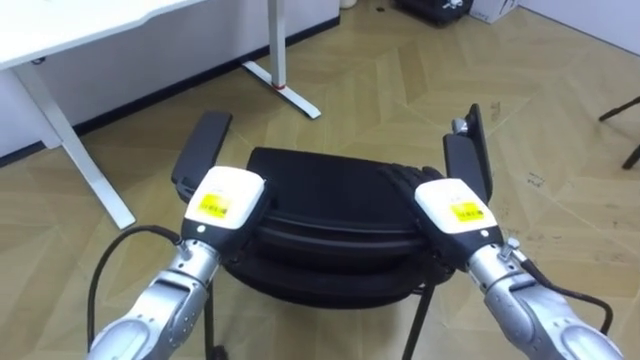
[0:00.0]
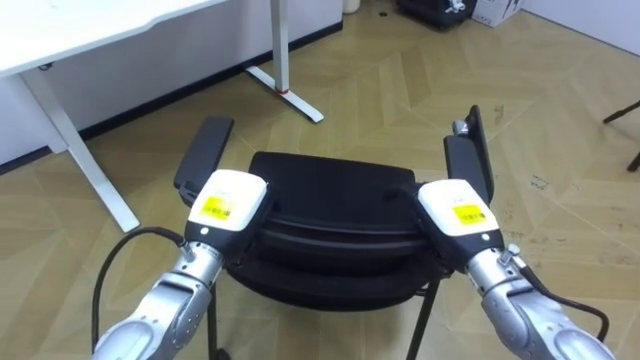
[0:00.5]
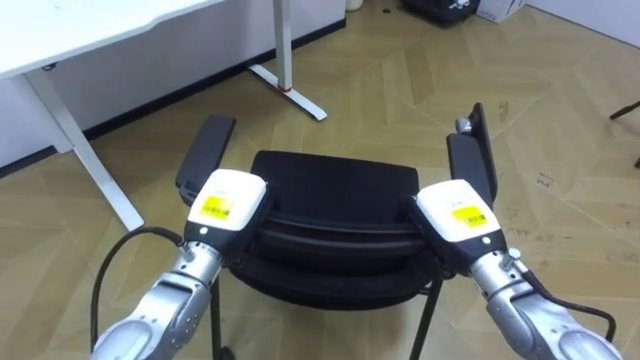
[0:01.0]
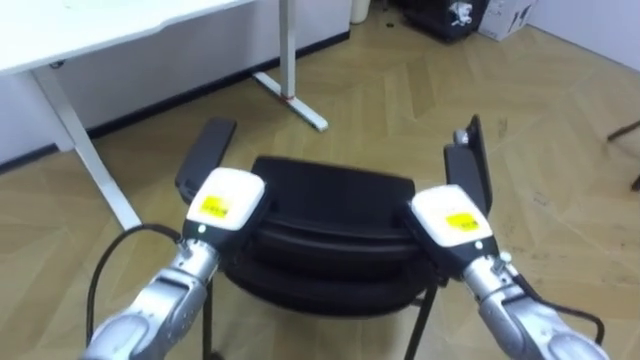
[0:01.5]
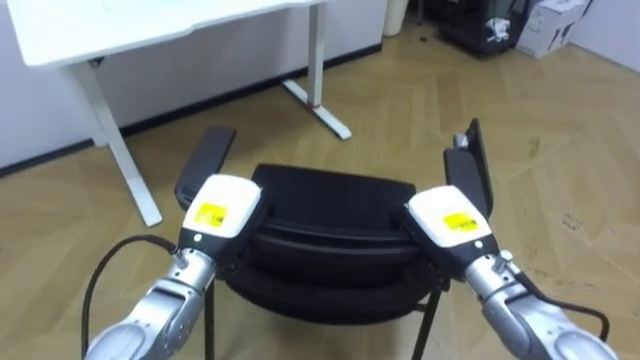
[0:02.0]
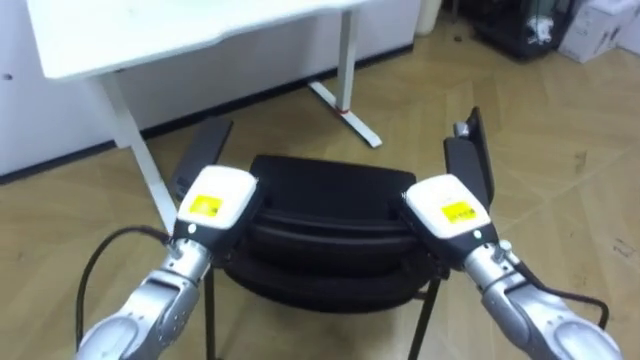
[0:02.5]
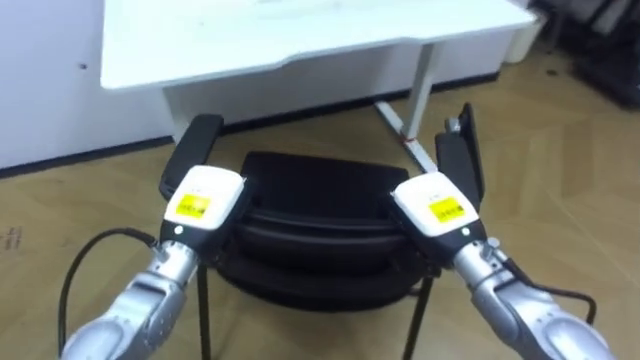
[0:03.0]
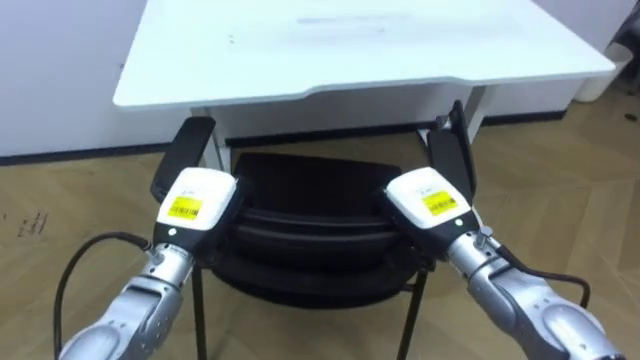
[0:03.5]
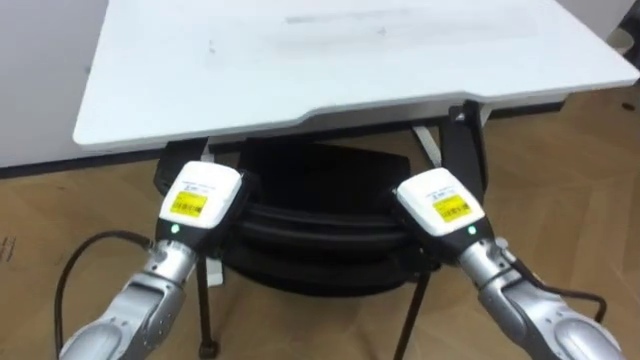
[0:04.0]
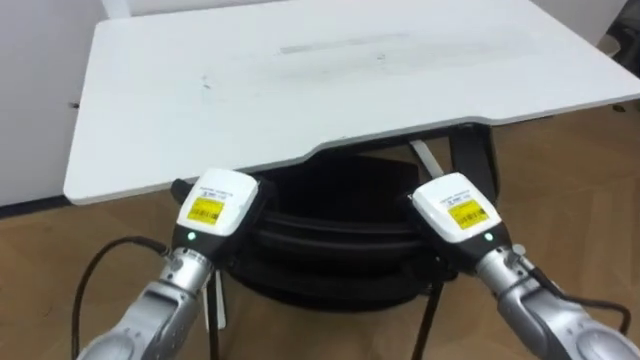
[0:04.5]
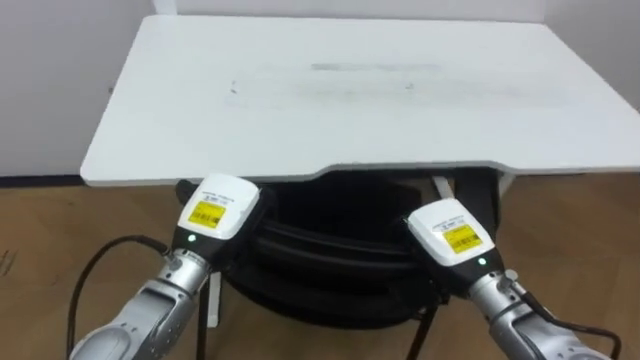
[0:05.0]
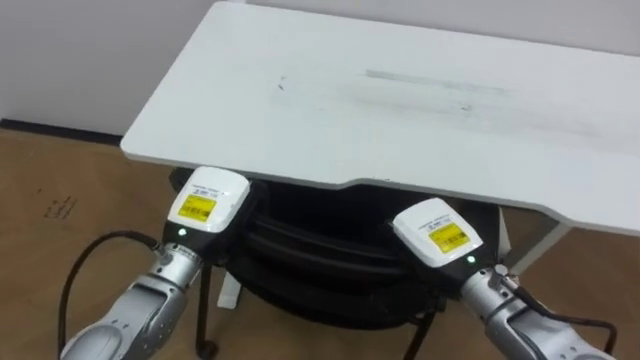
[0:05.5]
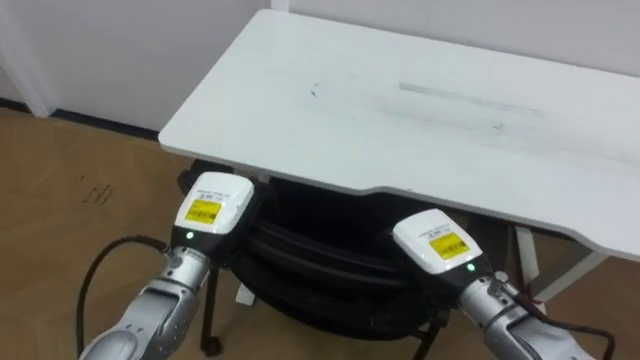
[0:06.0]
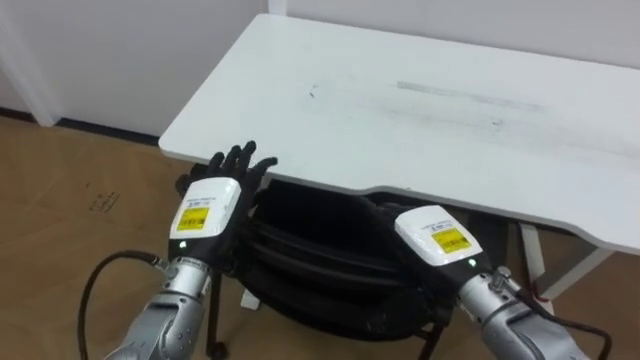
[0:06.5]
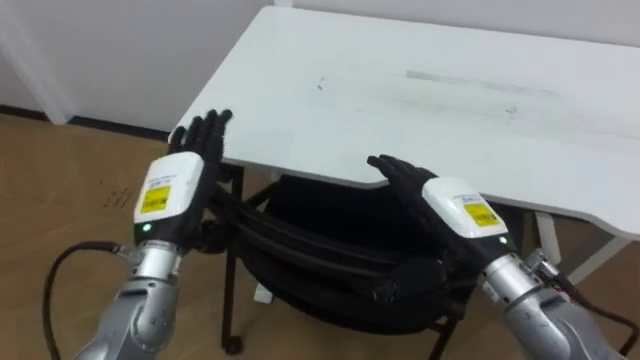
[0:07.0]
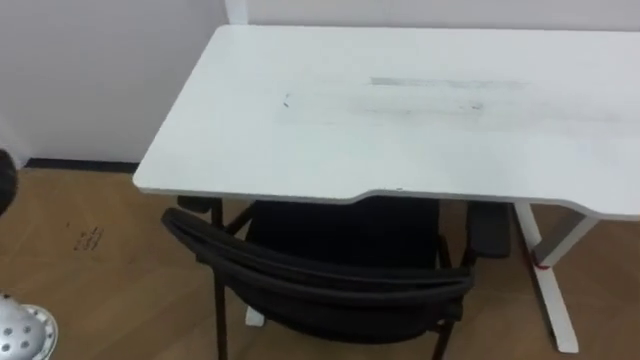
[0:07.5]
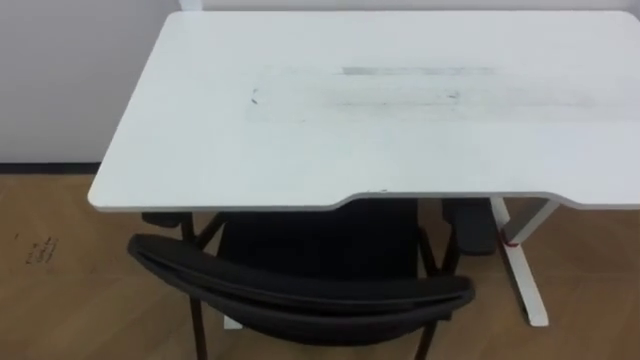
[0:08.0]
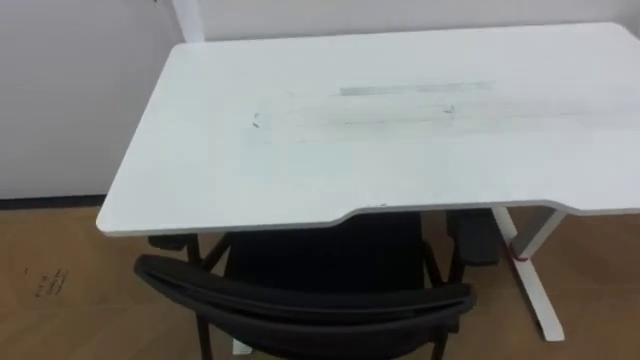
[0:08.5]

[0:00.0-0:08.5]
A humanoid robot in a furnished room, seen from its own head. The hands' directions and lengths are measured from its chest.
Task of the whole recording: Push the chair under the table.
0:00.0 to 0:02.0: The right hand closes up.
0:02.0 to 0:04.0: The robot turns to its left by some 20 degrees.
0:04.0 to 0:06.5: The robot faces roughly 30 degrees further to its left. The right hand opens, while the left hand opens its fingers.

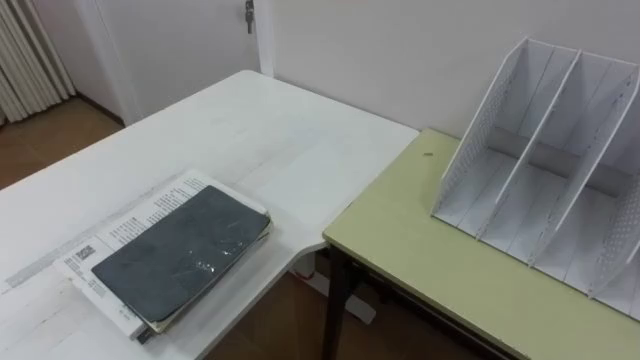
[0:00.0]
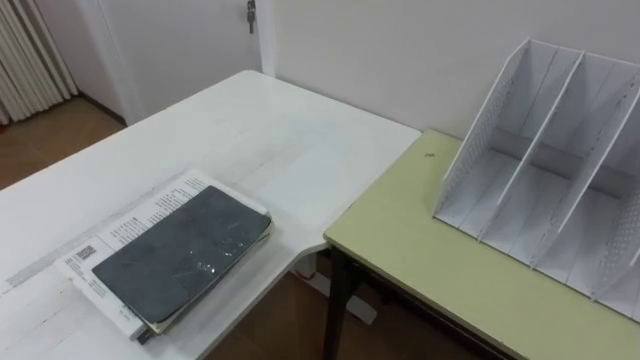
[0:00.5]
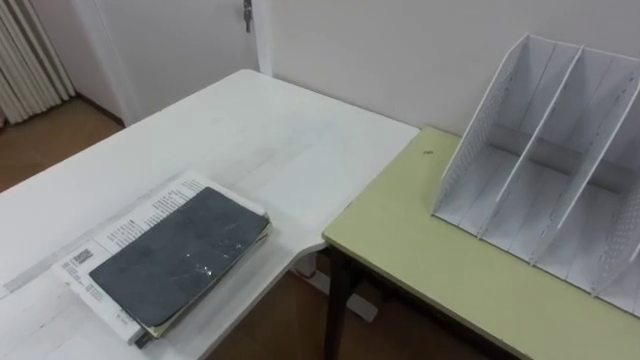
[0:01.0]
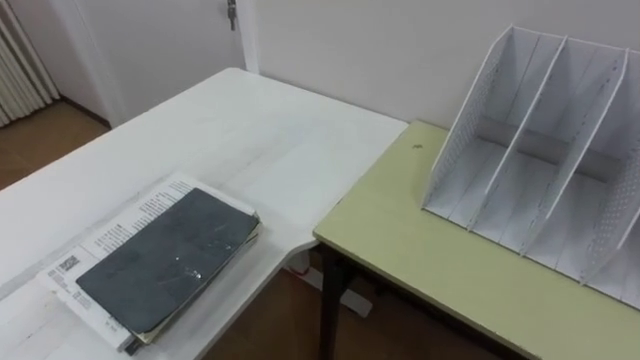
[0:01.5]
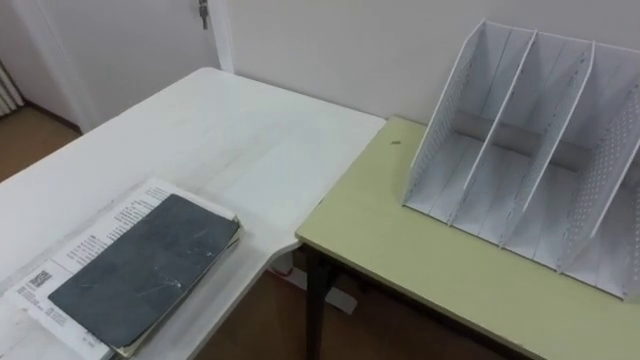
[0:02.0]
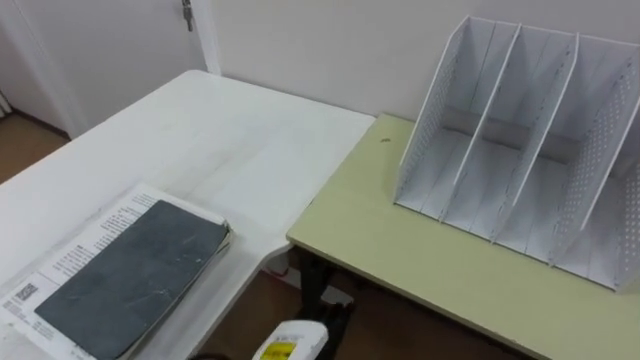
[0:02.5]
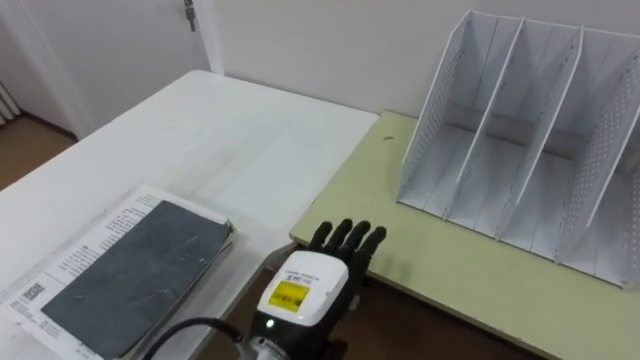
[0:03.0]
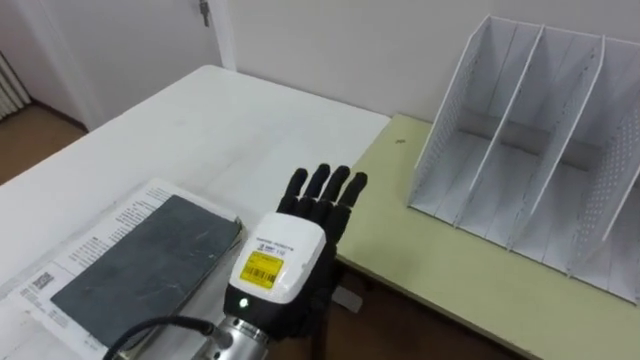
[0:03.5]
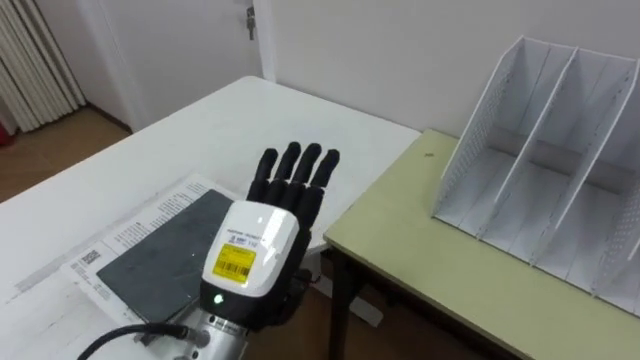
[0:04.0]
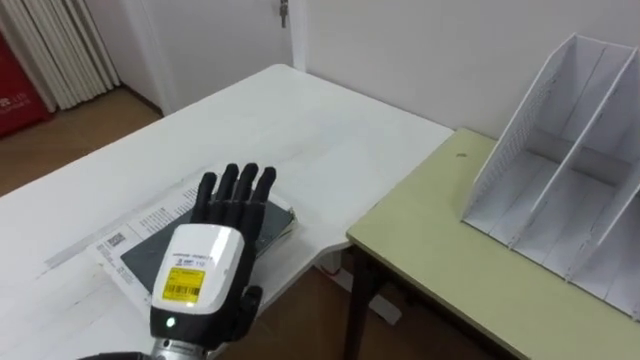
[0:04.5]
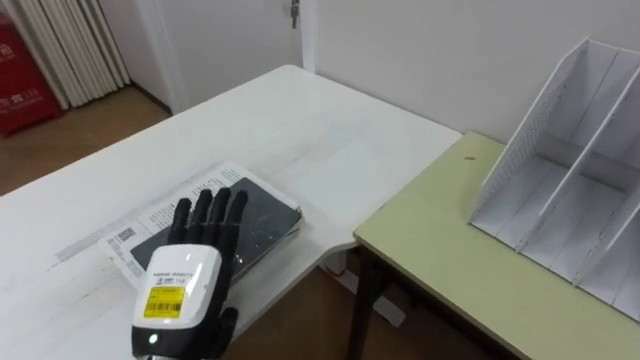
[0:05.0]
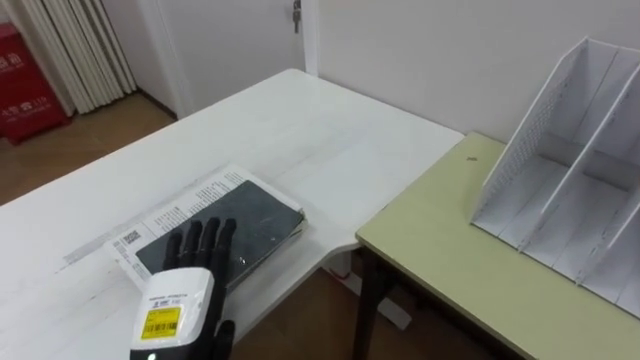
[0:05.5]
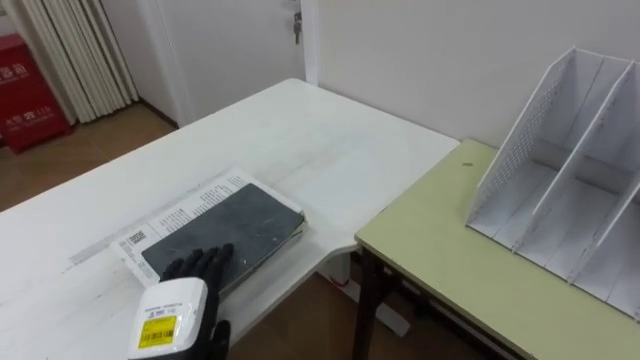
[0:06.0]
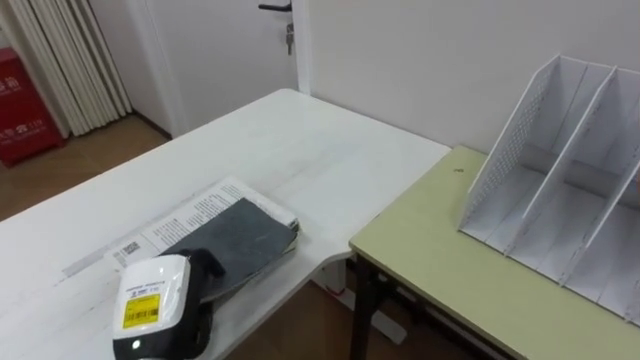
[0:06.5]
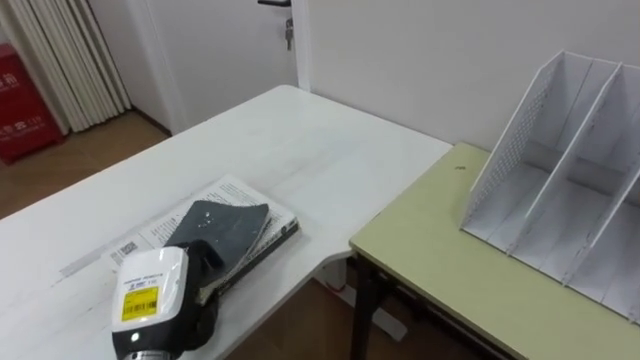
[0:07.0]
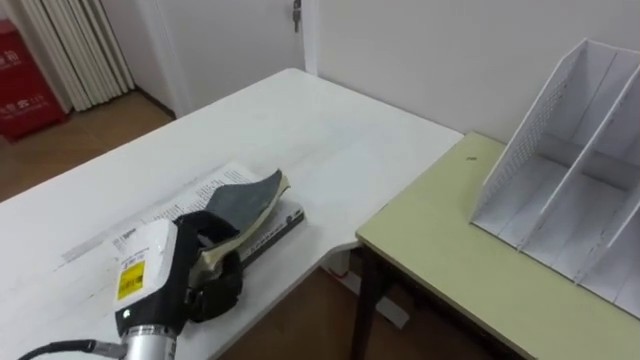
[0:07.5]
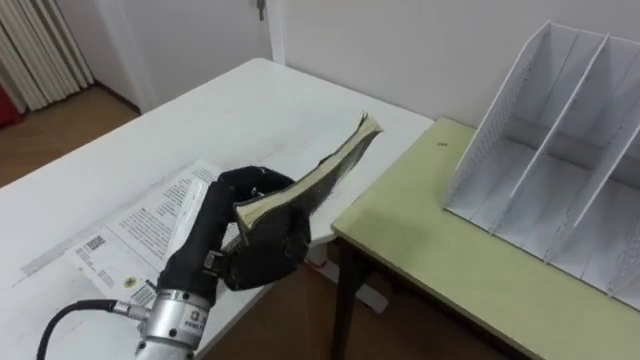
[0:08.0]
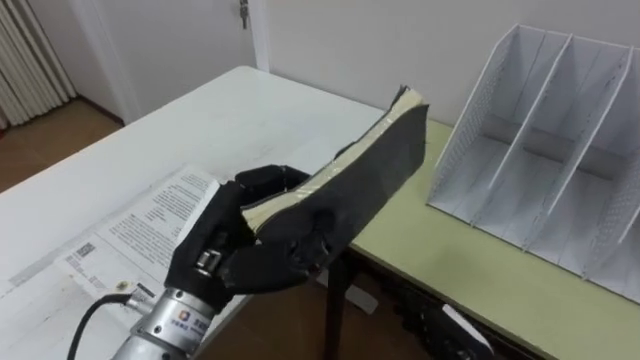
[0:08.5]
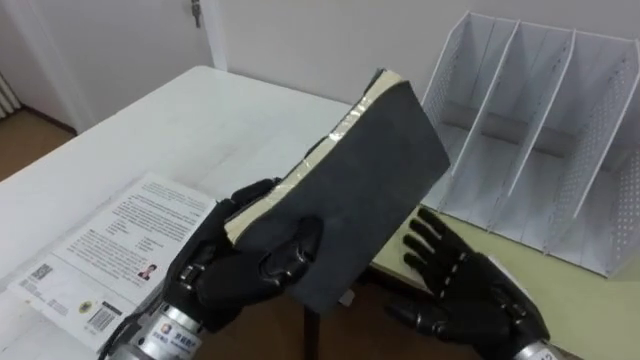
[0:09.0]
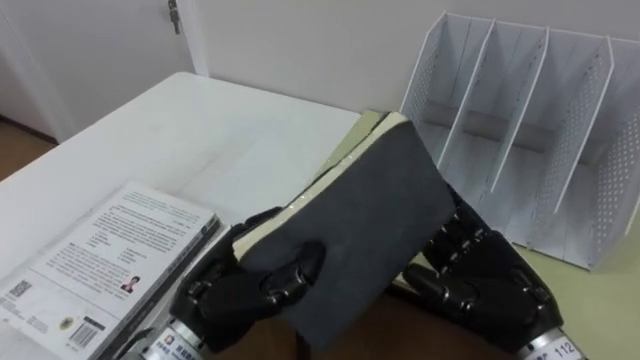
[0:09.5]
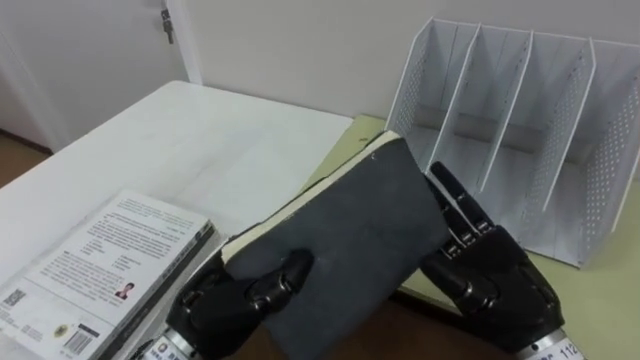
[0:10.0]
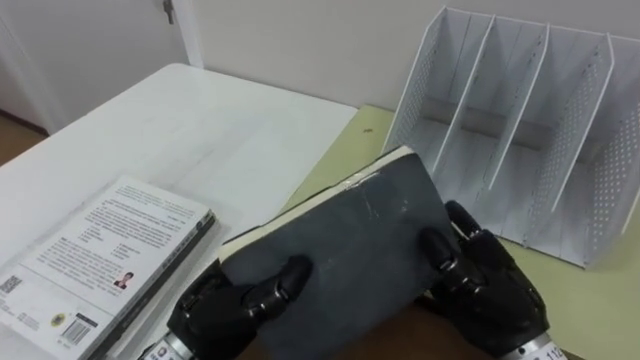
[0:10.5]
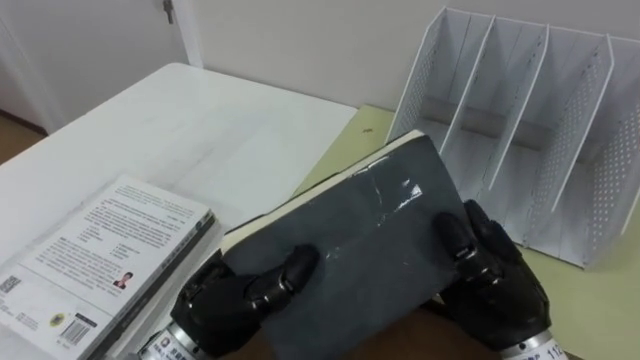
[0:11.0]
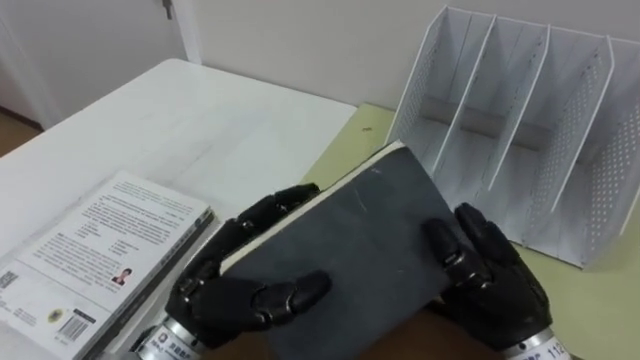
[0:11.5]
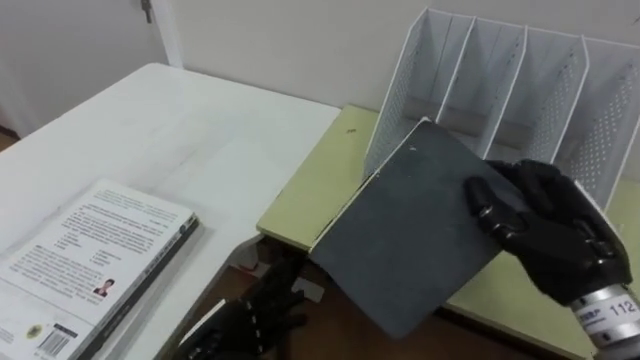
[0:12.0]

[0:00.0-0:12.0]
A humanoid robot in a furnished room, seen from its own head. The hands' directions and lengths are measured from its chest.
Task of the whole recording: Put the books on the table onto the bookshelf.
0:04.0 to 0:06.0: The left hand goes approximately 15 cm downward and to the left.
0:06.0 to 0:08.0: The left hand shifts approximately 10 cm upward, and closes.
0:08.0 to 0:10.0: The left hand shifts by approximately 5 cm.
0:10.0 to 0:12.0: The right hand moves approximately 5 cm, and closes up. The left hand goes roughly 10 cm downward, and opens its fingers.
